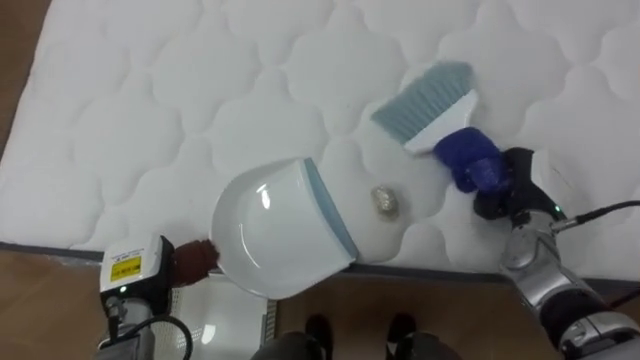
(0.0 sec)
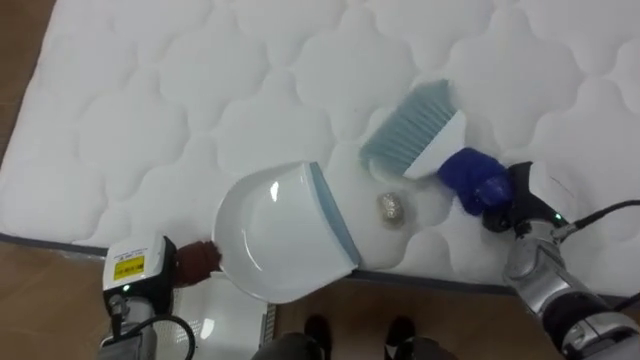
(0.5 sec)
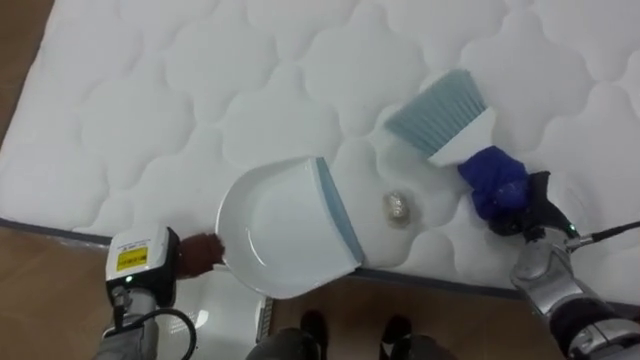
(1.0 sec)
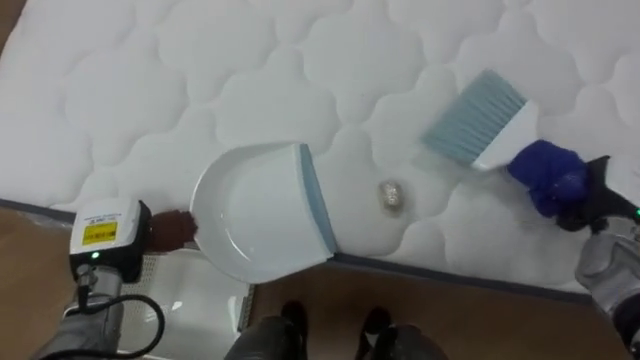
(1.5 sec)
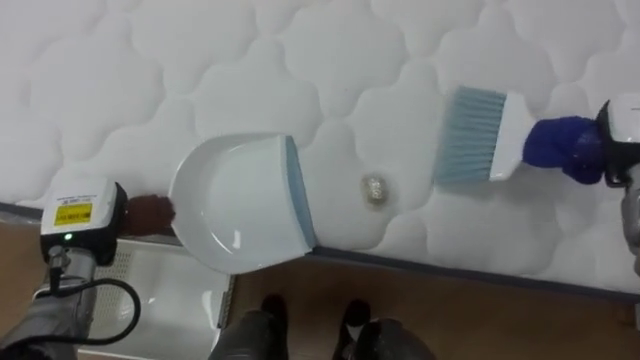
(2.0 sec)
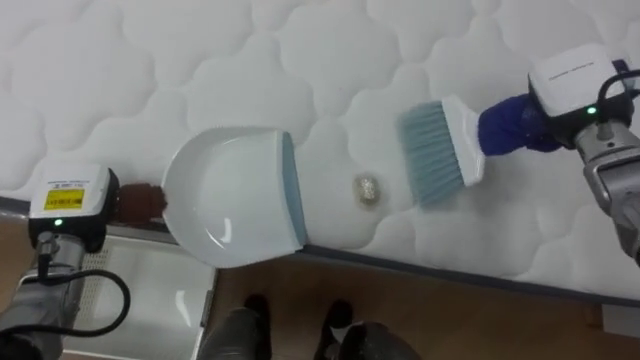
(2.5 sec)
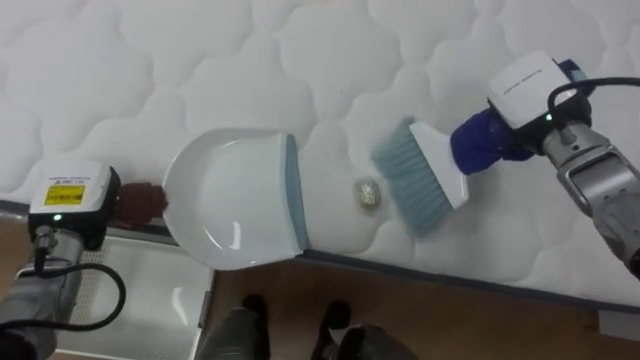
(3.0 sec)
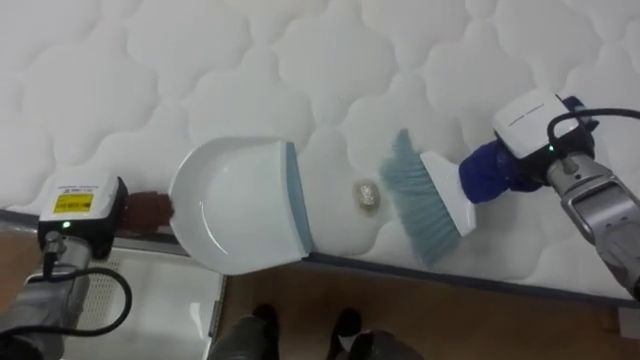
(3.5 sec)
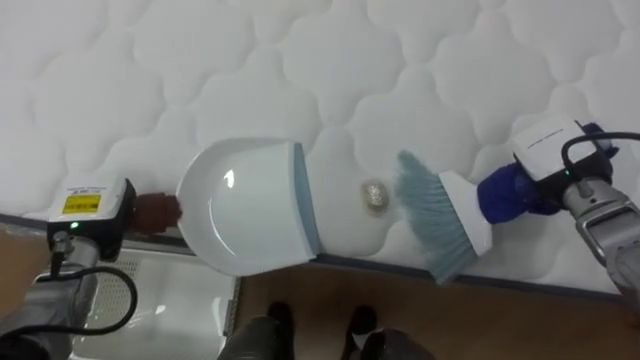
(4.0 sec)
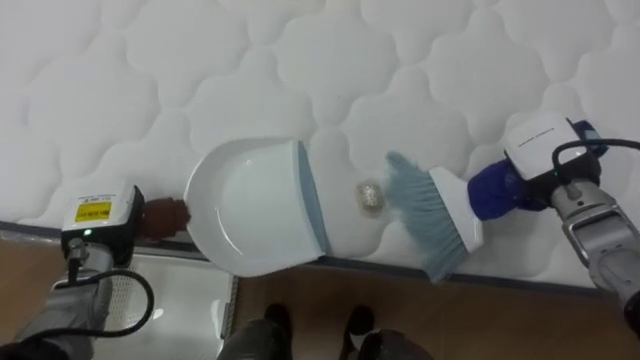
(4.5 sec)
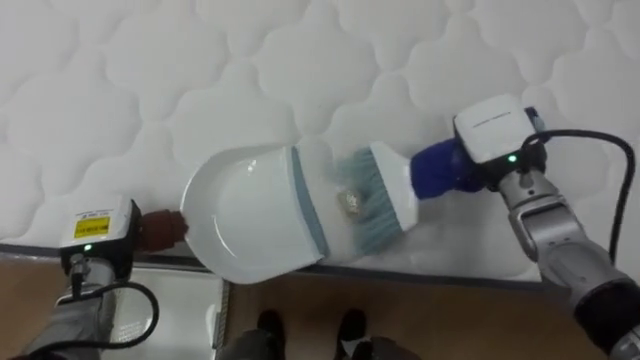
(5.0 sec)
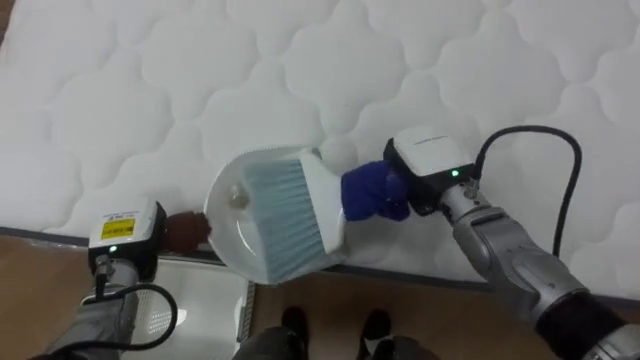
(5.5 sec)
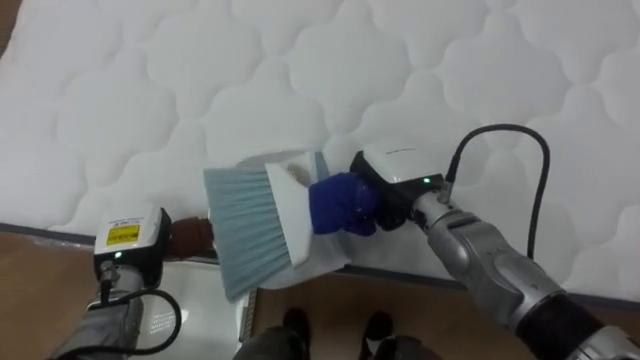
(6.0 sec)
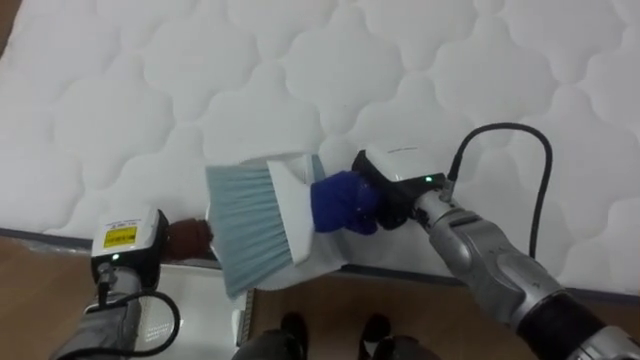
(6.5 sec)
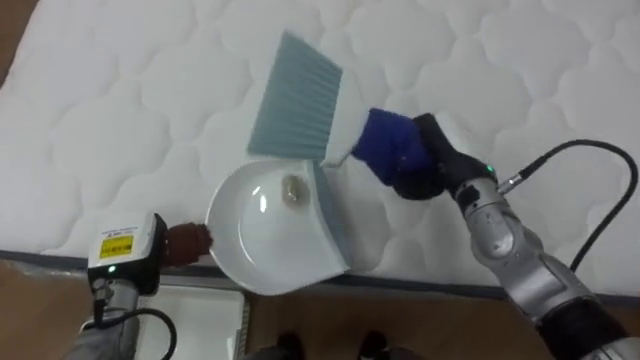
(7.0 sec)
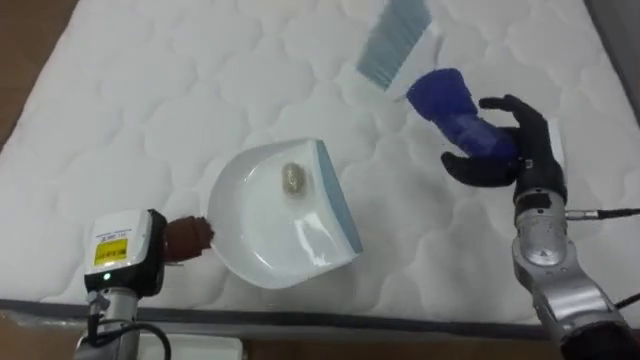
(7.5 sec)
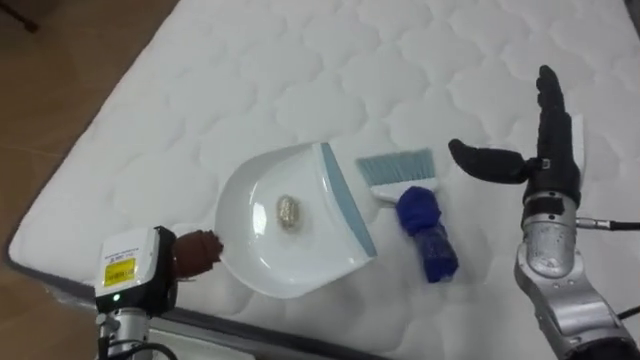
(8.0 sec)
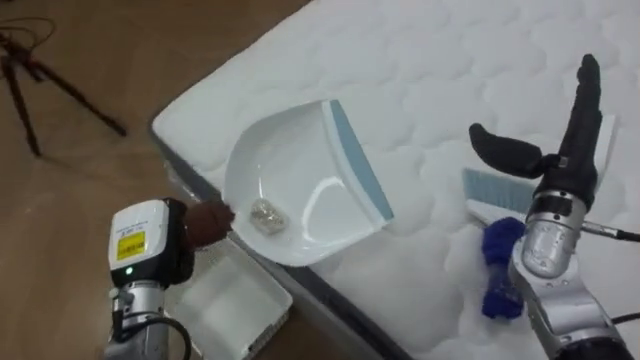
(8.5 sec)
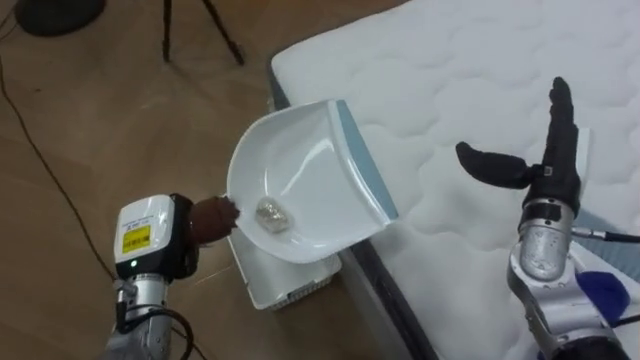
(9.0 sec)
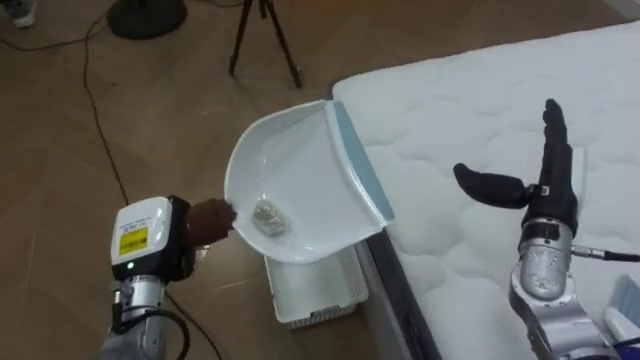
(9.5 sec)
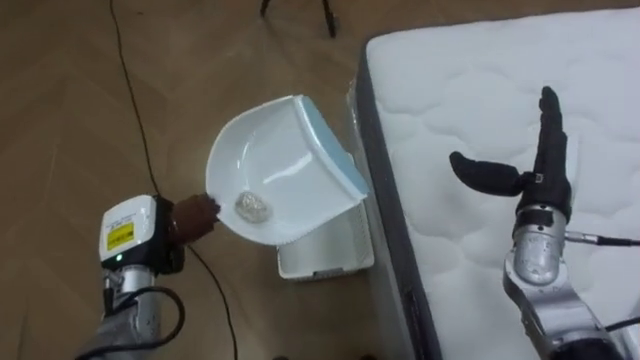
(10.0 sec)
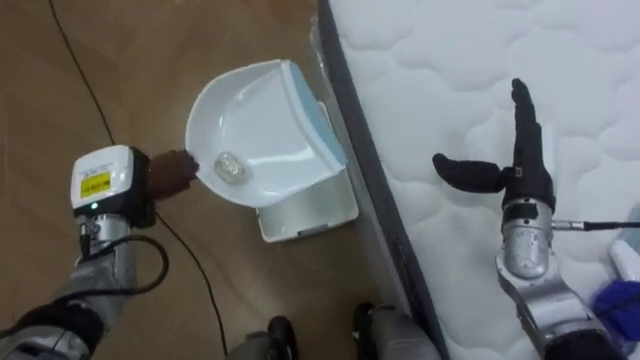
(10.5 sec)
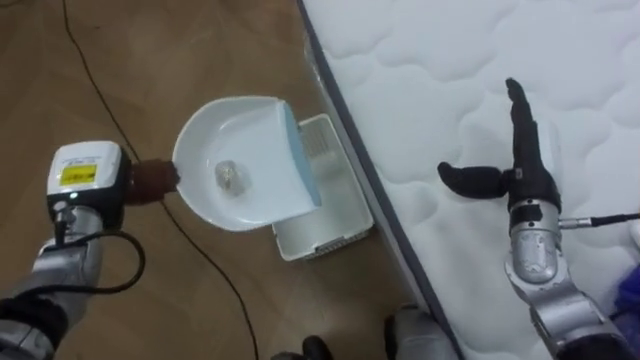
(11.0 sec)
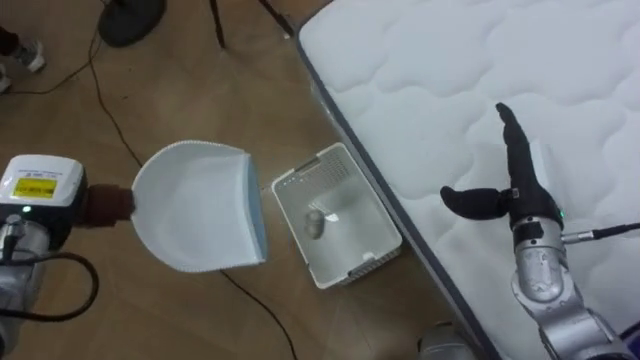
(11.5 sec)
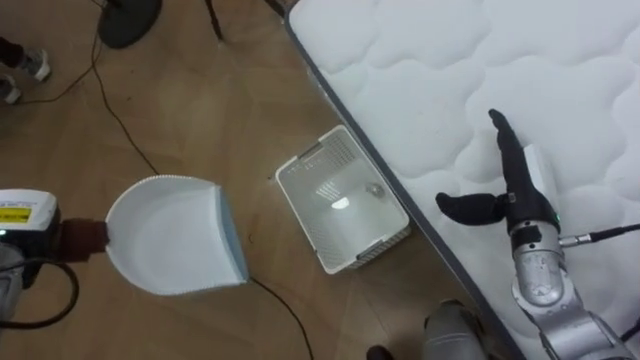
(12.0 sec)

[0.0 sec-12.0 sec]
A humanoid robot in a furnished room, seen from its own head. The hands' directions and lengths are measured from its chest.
Task of the whole recording: Pick up the brush on your right and the dustpan on your left. Use the brush to sweep the crumpled paper on the bed into the dustpan, then turn left and empty it into the basket.
0.0 sec to 2.0 sec: The left hand heads upward and to the left, covering about 10 cm.
2.0 sec to 4.0 sec: The right hand heads to the left, covering approximately 10 cm.
4.0 sec to 6.0 sec: The right hand travels to the left by some 20 cm, while the left hand moves approximately 5 cm.
6.0 sec to 8.0 sec: The right hand is displaced to the right by some 20 cm, and opens up.
8.0 sec to 10.0 sec: The robot's body swings some 75 degrees to its left.
10.0 sec to 12.0 sec: The left hand is displaced to the left by about 15 cm.

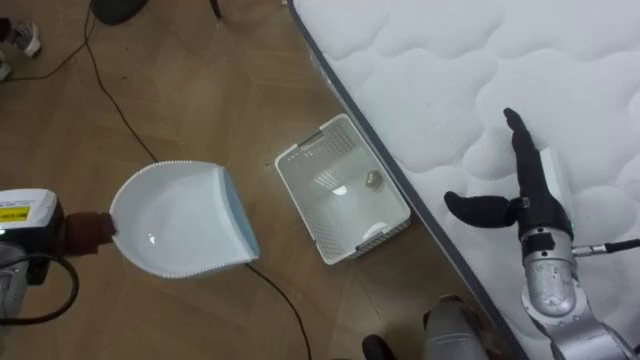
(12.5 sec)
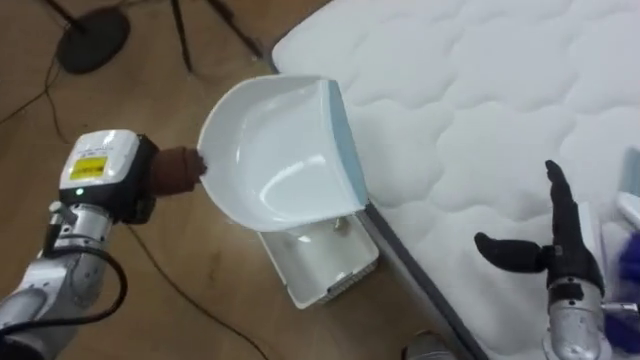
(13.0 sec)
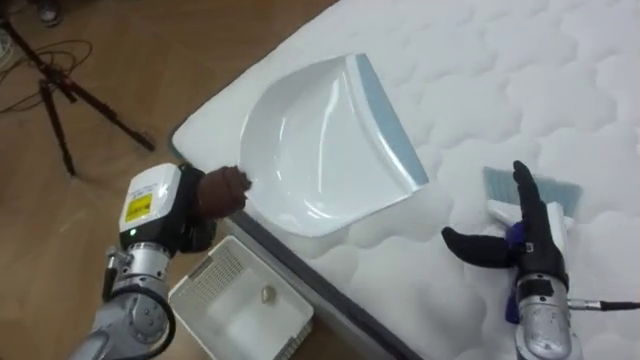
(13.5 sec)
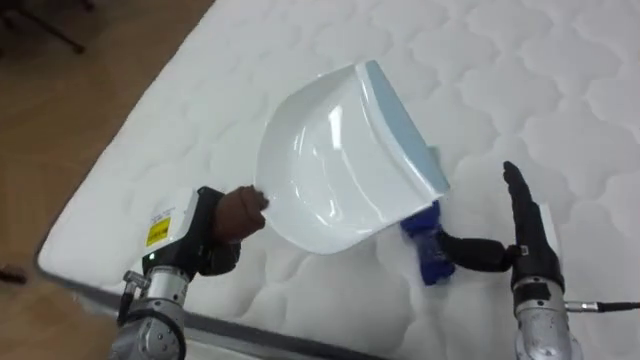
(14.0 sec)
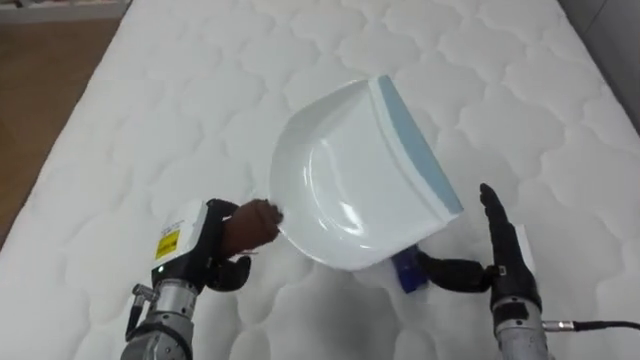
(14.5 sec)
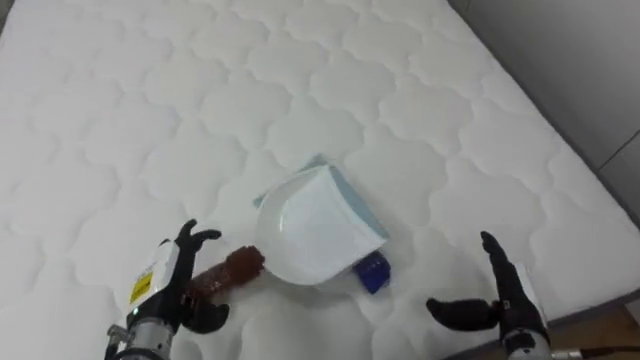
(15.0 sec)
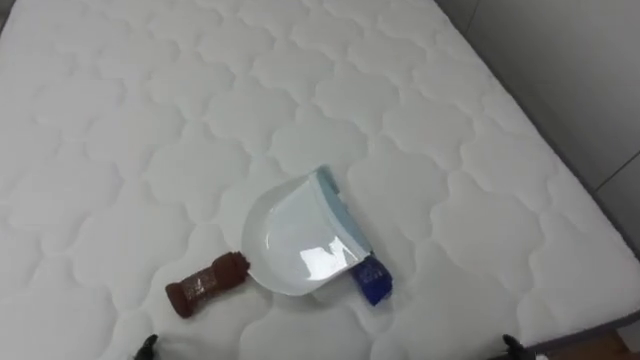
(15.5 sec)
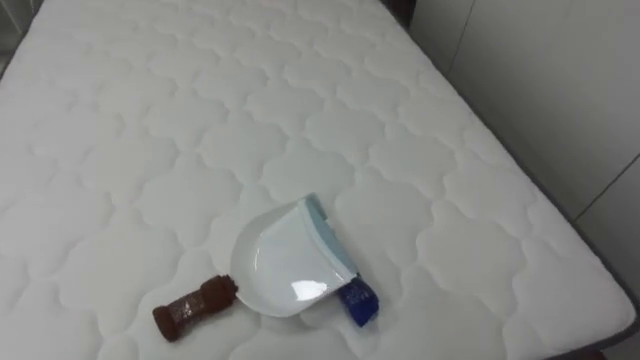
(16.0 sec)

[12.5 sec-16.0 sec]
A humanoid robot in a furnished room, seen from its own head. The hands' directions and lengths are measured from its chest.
Task of the whole recording: Pick up the brush on your right and the dustpan on your left. Use the brush to sweep the crumpled paper on the bed into the dustpan, then turn left and empty it into the basket.
12.5 sec to 14.5 sec: The robot rotates roughly 75 degrees to its right. The left hand goes some 20 cm to the right; the right hand heads downward and backward, covering some 10 cm.
14.5 sec to 16.0 sec: The robot rotates approximately 20 degrees to its right.

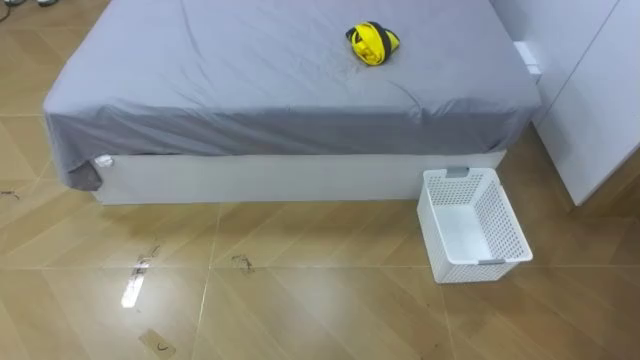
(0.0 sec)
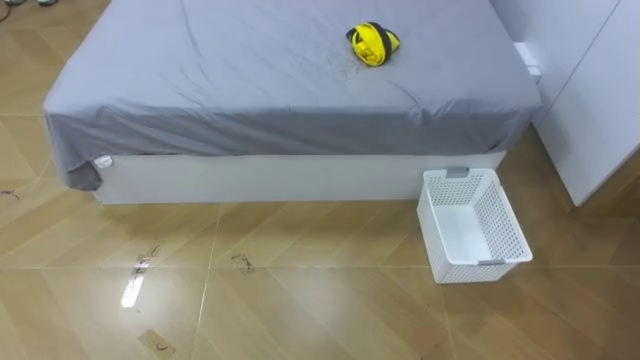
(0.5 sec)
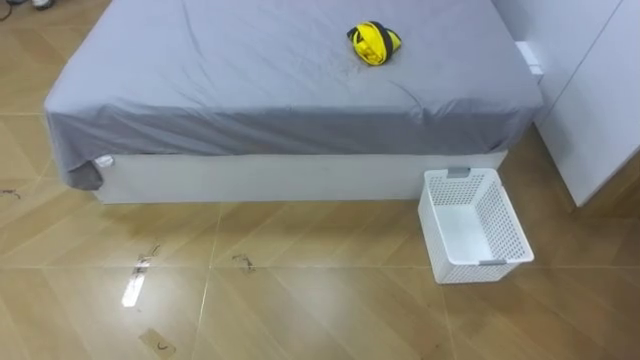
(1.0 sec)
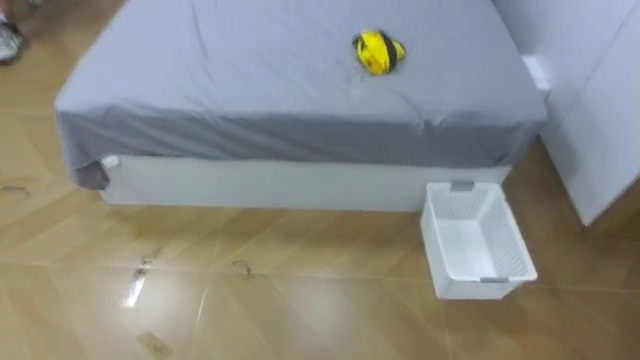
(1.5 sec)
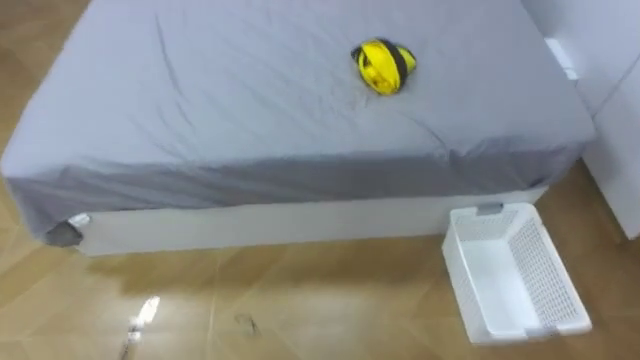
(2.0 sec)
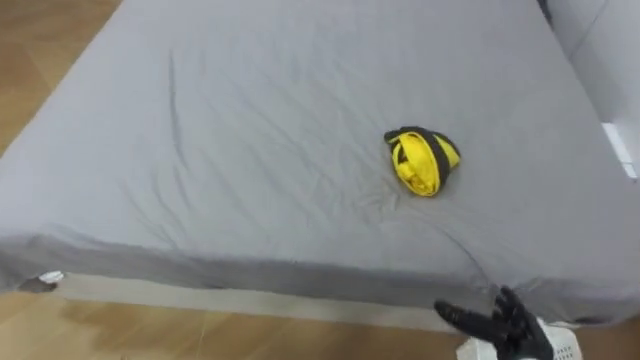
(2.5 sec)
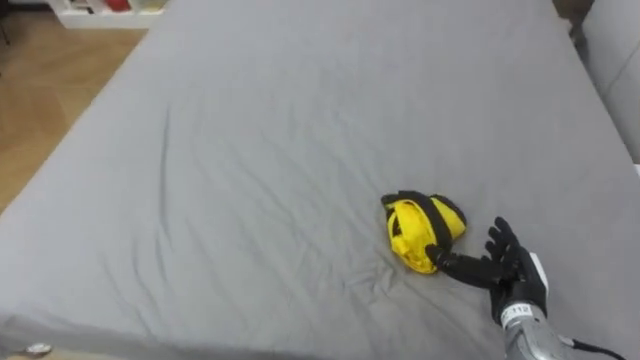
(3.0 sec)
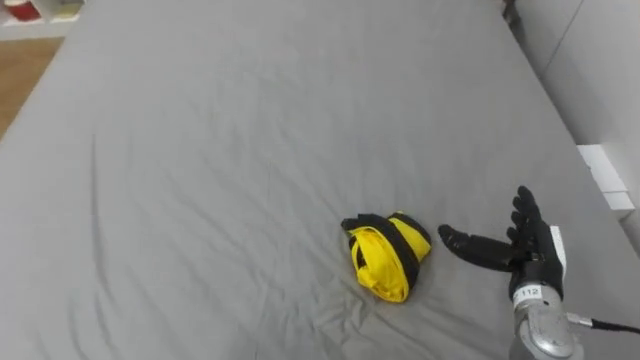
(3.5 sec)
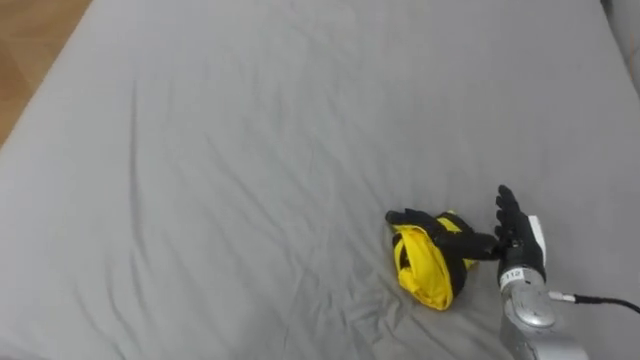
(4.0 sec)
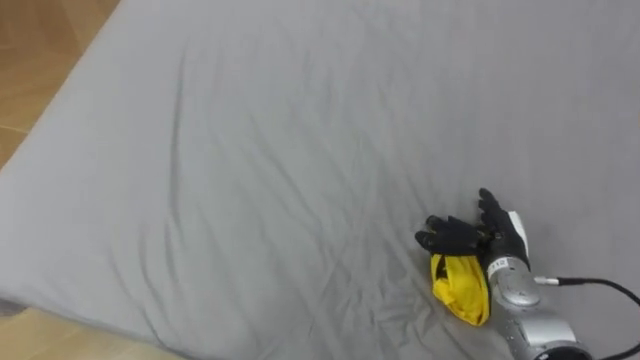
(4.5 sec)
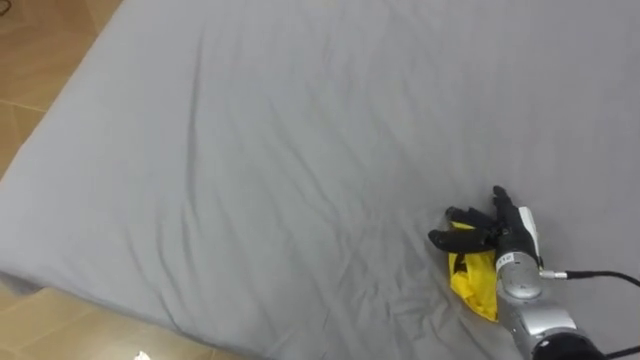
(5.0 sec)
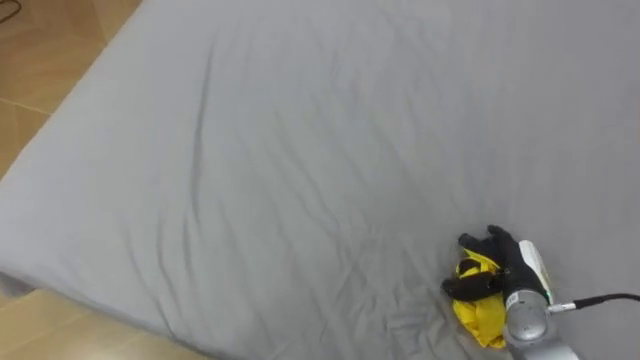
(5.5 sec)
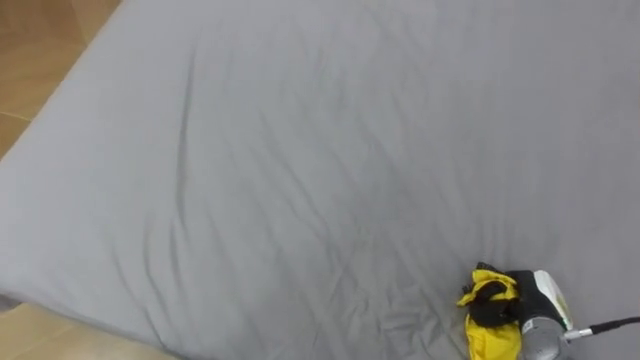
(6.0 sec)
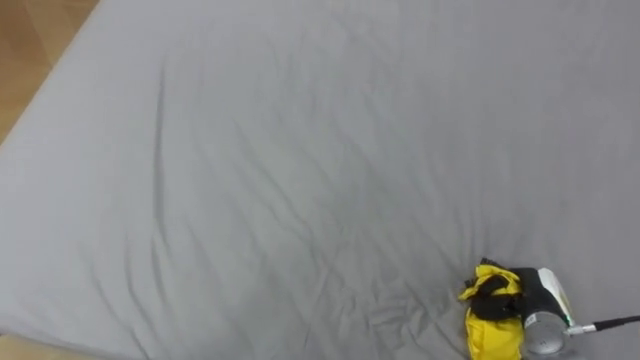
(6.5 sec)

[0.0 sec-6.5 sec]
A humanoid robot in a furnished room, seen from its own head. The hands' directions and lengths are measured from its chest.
Task of the whole recording: Pick up the yellow clothes on the bed and place them into the white basket on the right.
4.5 sec to 6.5 sec: The right hand shifts roughly 10 cm backward, to the right and downward, and closes up.
